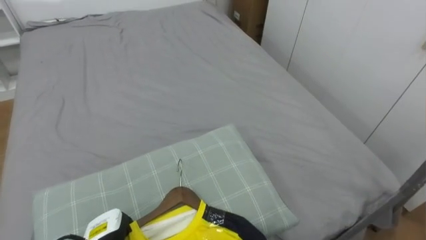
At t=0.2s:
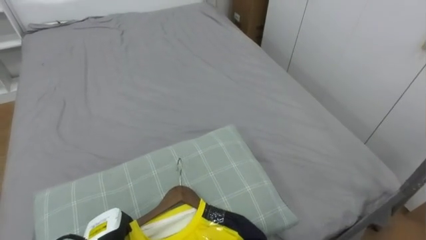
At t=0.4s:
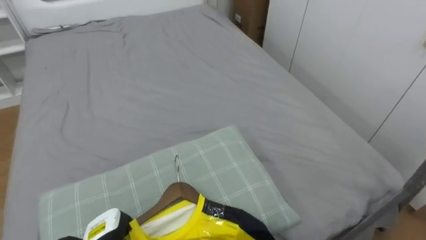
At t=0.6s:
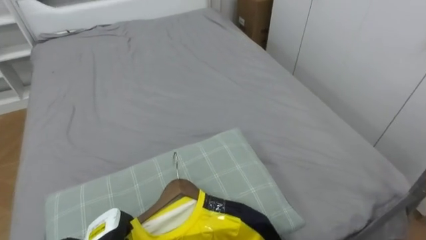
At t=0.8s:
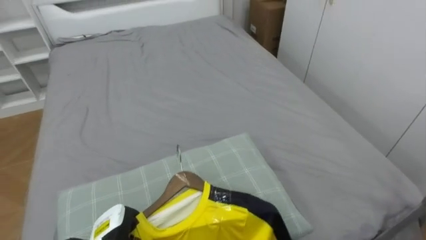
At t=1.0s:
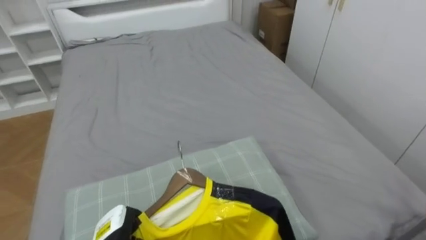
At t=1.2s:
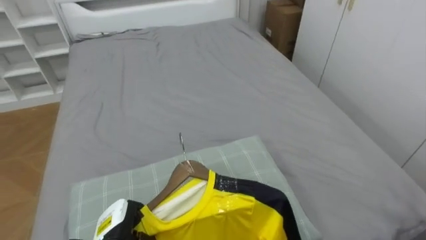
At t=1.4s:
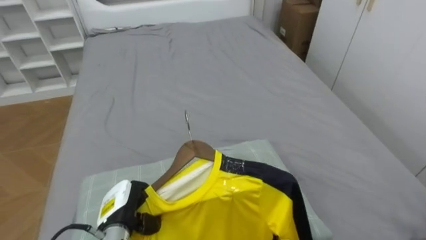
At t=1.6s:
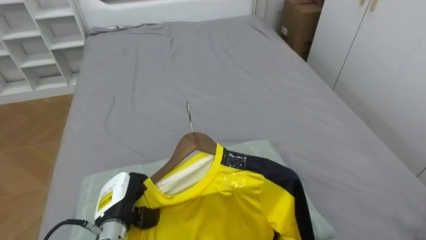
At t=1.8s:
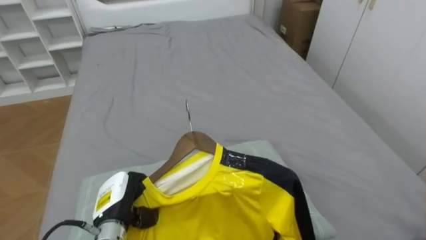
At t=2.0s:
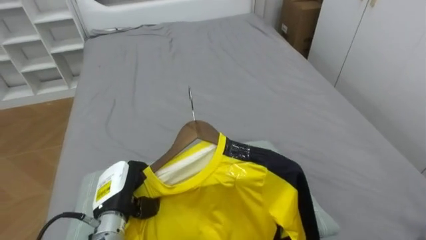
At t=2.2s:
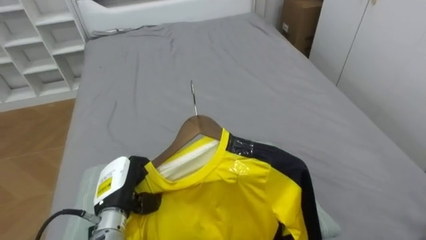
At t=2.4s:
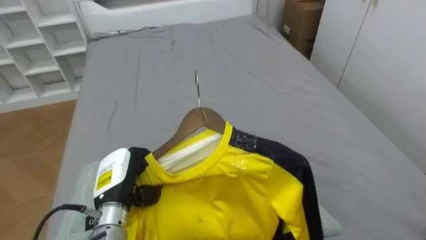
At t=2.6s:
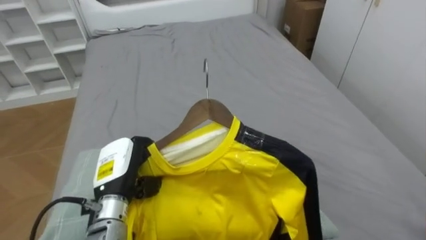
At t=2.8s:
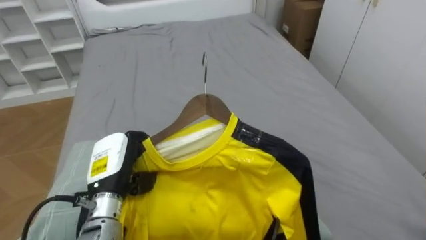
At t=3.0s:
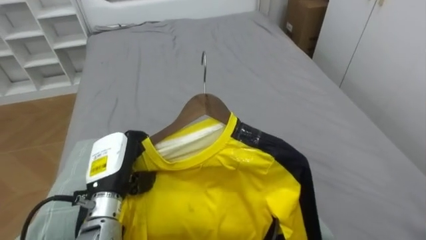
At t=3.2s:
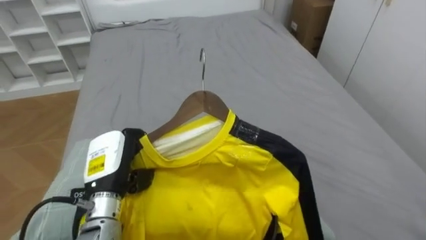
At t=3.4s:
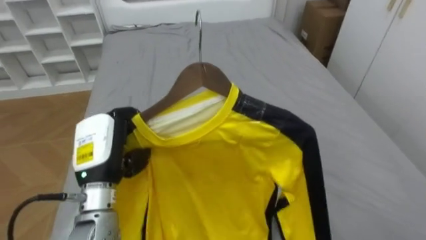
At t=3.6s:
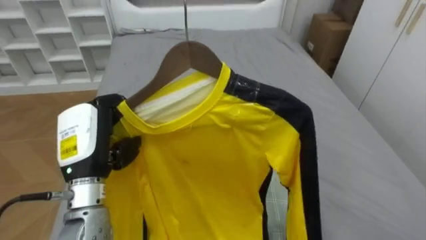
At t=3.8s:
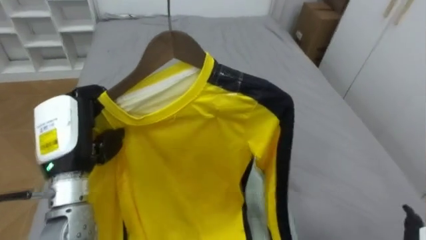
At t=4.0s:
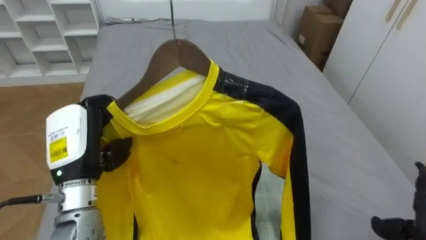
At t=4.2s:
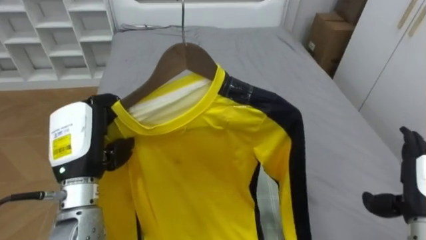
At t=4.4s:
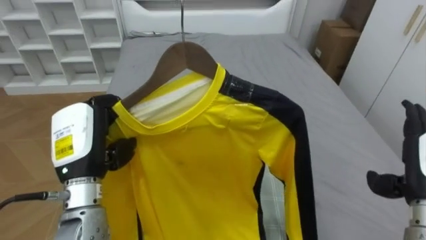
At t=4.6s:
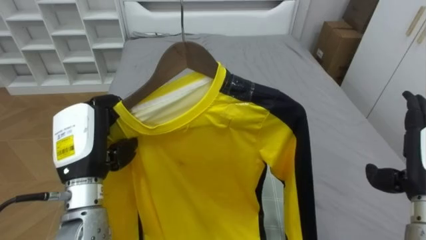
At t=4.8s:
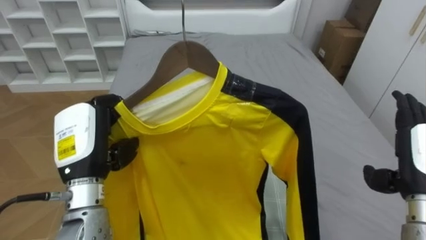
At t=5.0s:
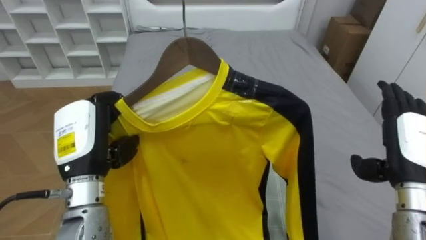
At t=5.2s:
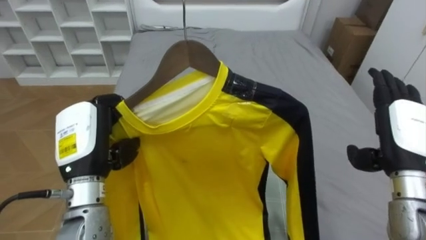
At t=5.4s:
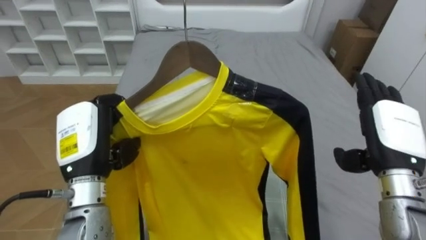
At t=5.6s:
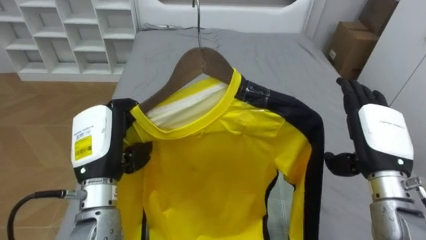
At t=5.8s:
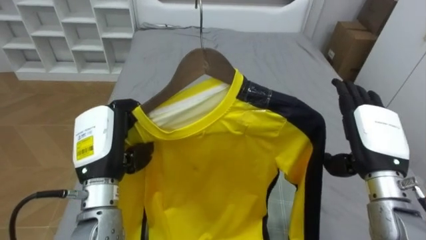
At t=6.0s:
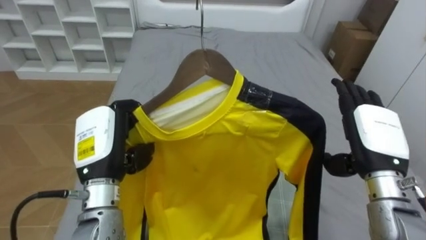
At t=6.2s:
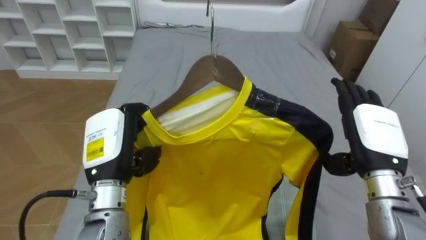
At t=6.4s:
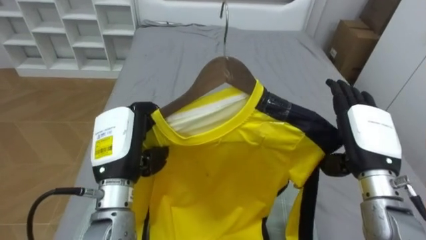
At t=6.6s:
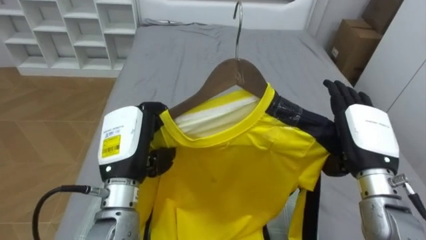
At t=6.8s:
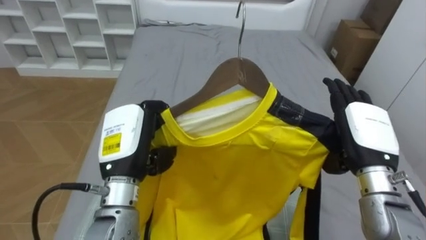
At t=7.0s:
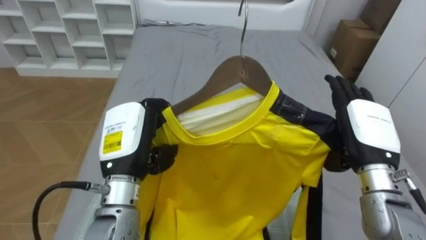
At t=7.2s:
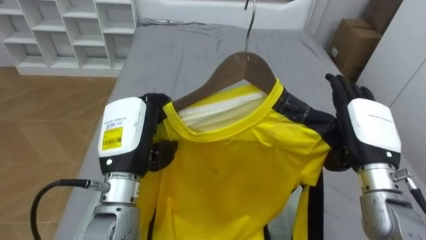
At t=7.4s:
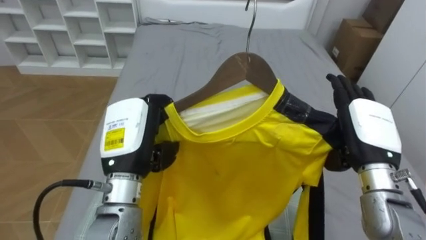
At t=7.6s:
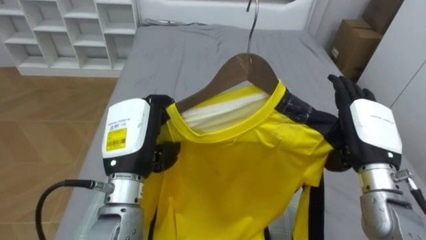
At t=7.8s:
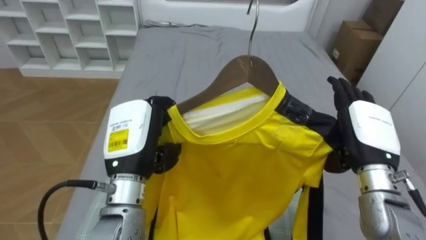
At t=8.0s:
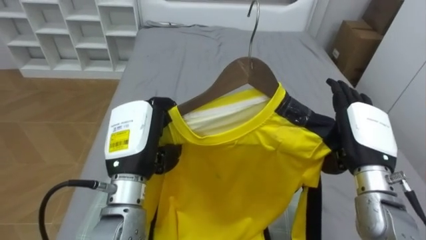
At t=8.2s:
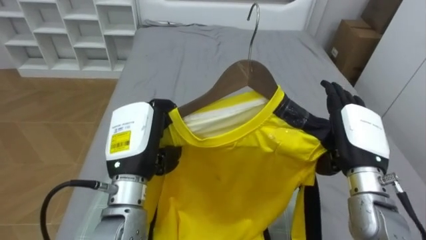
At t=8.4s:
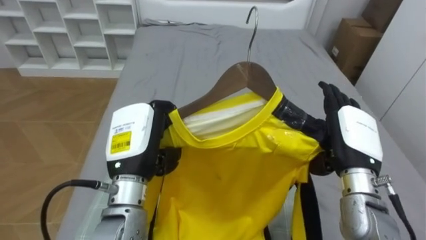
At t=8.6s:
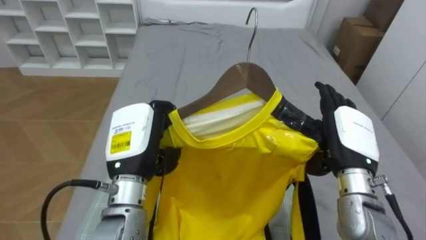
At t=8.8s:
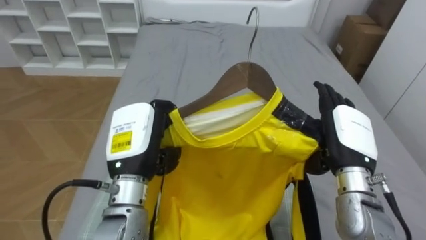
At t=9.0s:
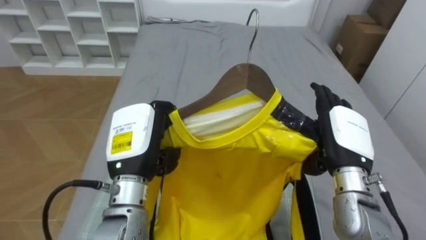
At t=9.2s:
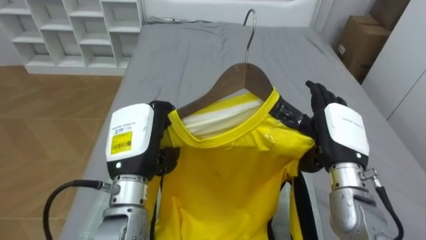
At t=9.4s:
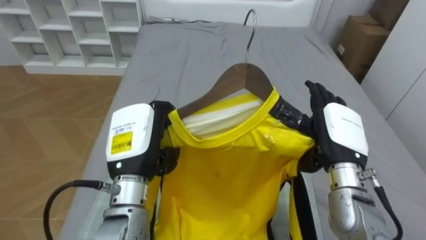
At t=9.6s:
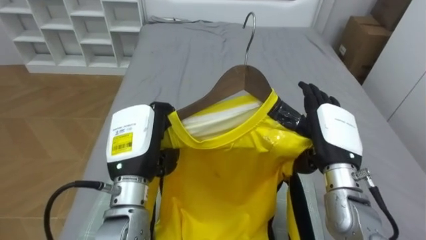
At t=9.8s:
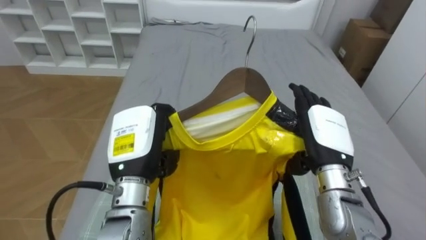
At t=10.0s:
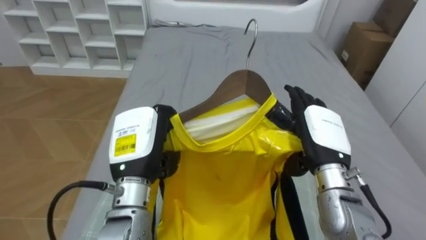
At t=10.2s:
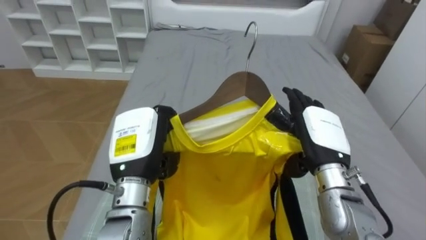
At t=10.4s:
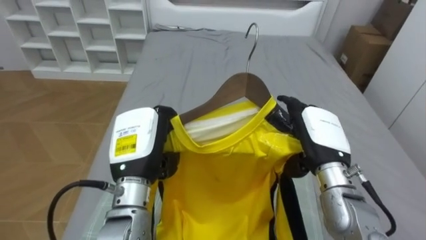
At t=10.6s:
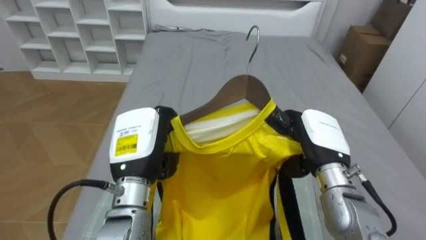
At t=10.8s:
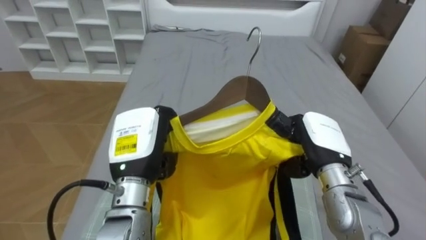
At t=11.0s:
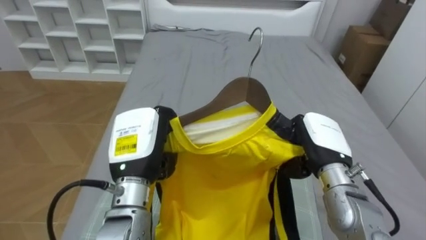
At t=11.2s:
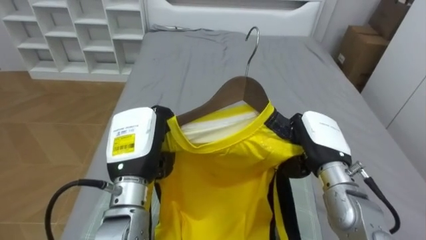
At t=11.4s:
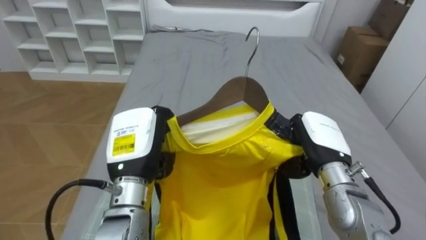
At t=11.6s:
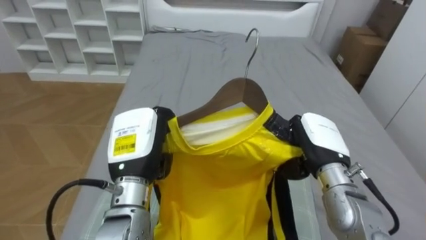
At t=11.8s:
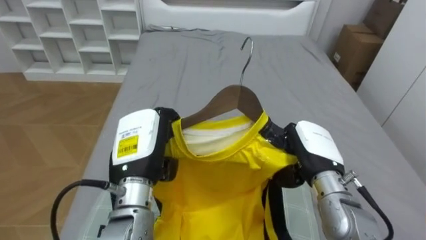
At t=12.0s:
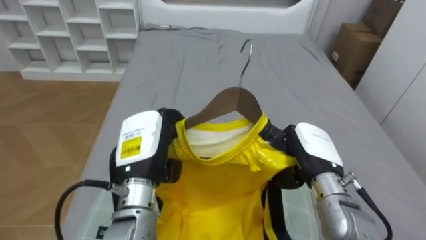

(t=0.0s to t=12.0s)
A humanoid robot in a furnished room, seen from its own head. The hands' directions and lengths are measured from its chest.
Task of the whole recording: Pick up the yellow shirt on the bed and hang it on the clothes rack on the right.
t=0.0s - t=1.6s: The left hand goes some 5 cm upward.
t=1.6s - t=3.0s: The left hand travels upward by about 10 cm.
t=3.0s - t=4.4s: The left hand travels upward by roughly 10 cm.
t=4.4s - t=6.0s: The right hand shifts some 10 cm to the left.
t=6.0s - t=7.6s: The left hand heads to the right, covering roughly 5 cm.
t=10.4s - t=12.0s: The right hand closes.

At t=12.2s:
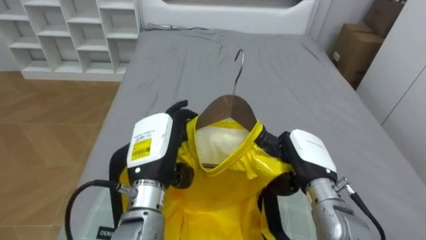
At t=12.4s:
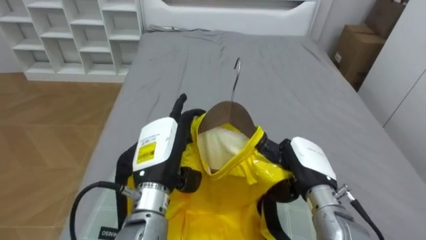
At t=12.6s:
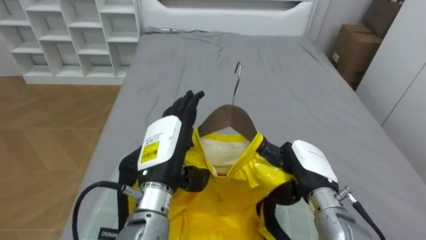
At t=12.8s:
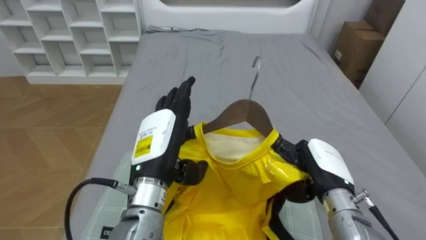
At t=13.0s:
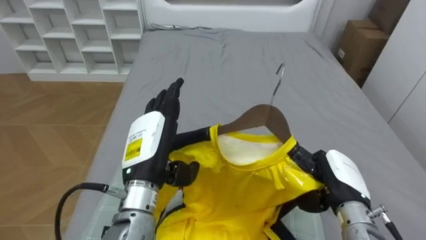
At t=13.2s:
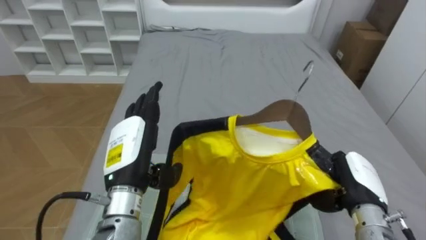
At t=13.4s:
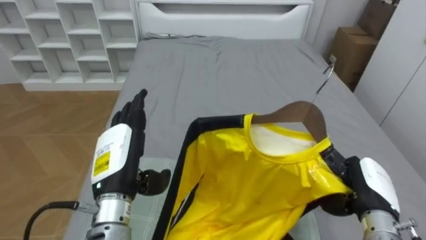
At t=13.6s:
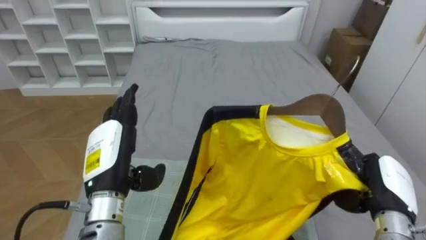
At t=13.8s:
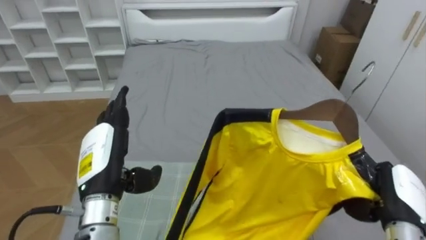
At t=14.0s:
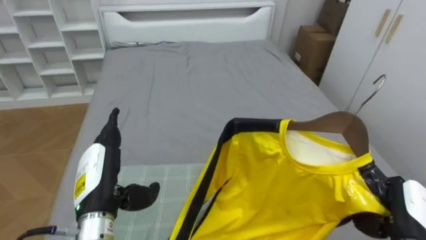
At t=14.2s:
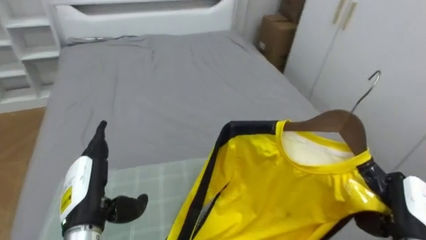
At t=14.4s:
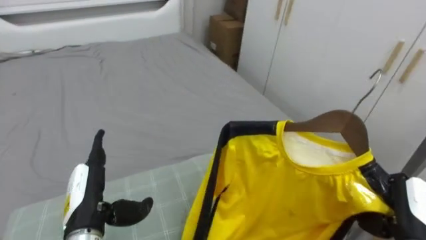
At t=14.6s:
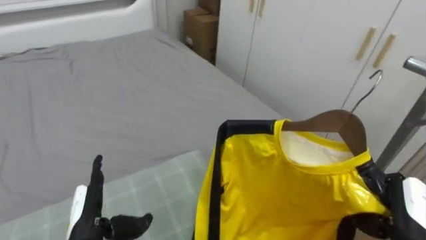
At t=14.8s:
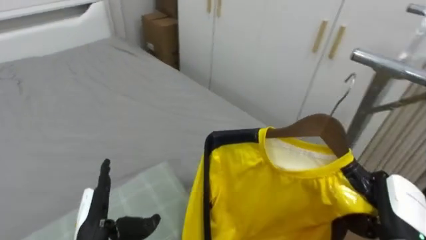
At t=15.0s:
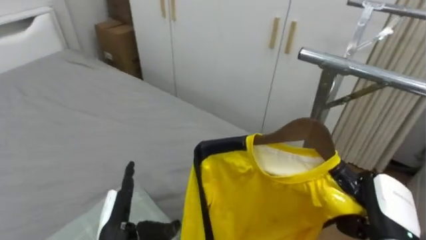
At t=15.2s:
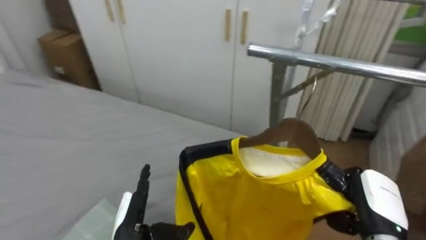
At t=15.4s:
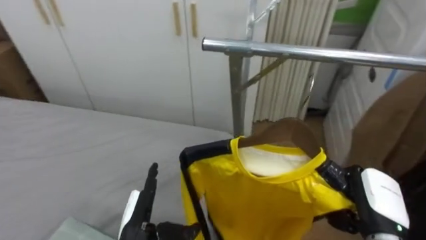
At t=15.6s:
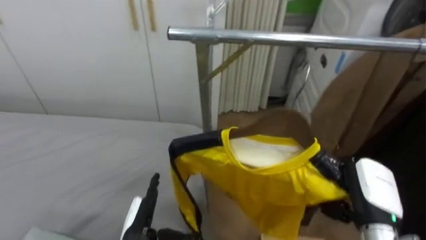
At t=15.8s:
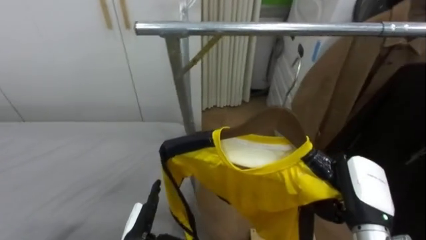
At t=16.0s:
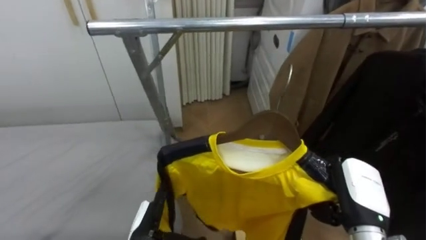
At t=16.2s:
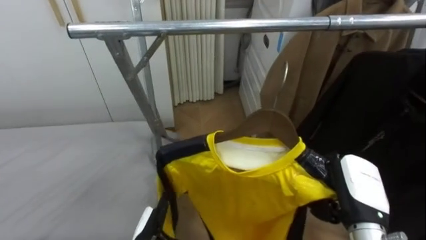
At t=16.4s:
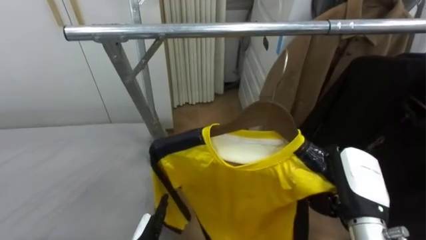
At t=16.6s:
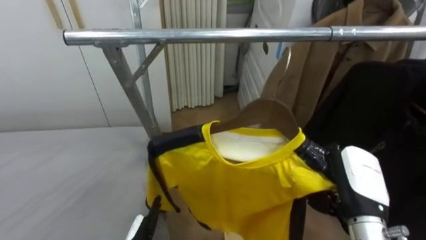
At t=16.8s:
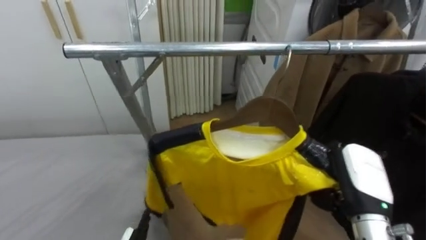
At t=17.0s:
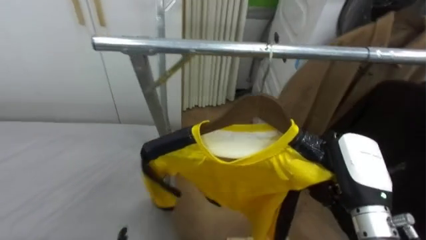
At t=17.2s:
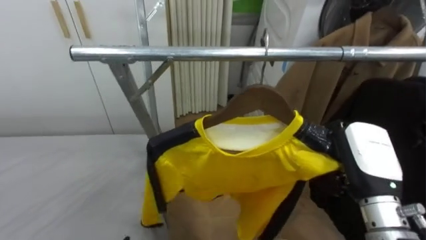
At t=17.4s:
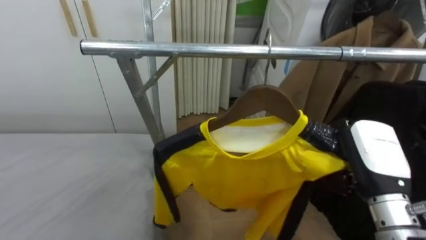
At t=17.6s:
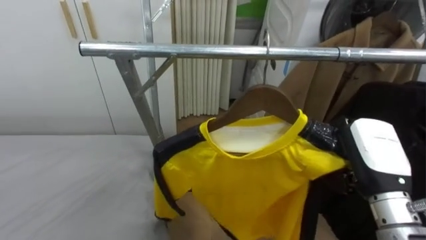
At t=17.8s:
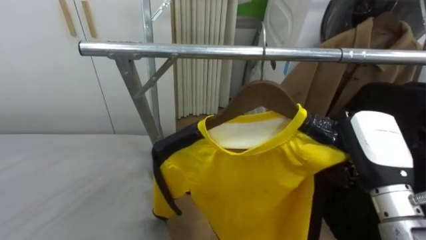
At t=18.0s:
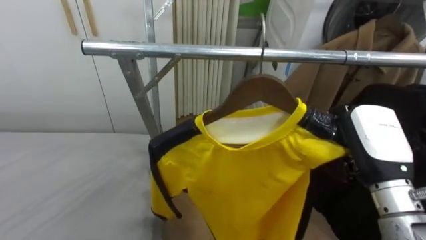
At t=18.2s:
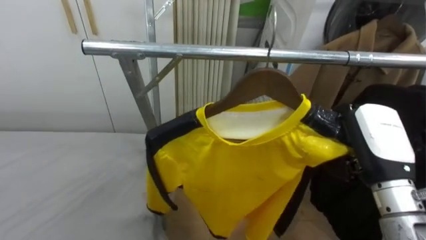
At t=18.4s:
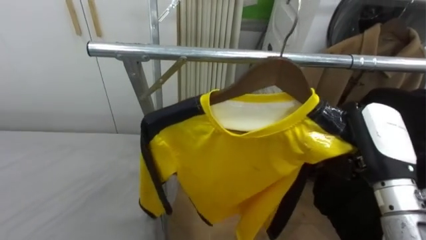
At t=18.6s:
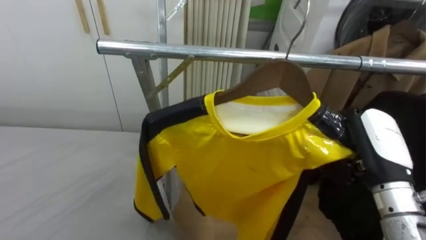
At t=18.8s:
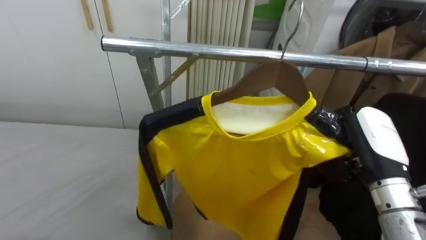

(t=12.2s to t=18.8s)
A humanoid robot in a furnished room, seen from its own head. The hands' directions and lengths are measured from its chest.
Task of the whole recording: Pick up the yellow shirt on the bed and hang it on the clothes rack on the right.
t=12.2s - t=13.8s: The right hand shifts approximately 15 cm to the right. Meanwhile the left hand travels to the left by about 10 cm, and opens its fingers.
t=13.8s - t=15.4s: The robot turns to its right by some 70 degrees. The left hand heads downward, covering approximately 15 cm.
t=15.4s - t=17.2s: The robot's body swings approximately 25 degrees to its right. The right hand moves upward, roughly 10 cm.
